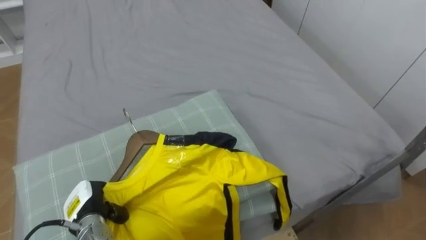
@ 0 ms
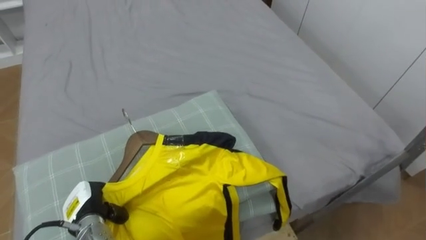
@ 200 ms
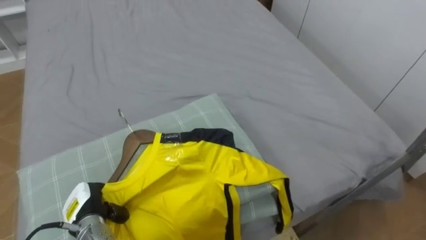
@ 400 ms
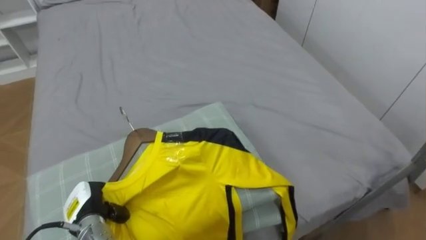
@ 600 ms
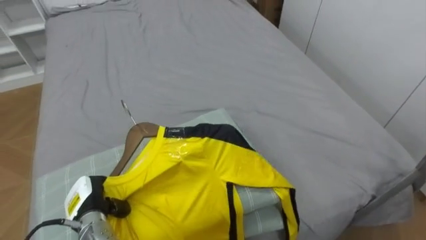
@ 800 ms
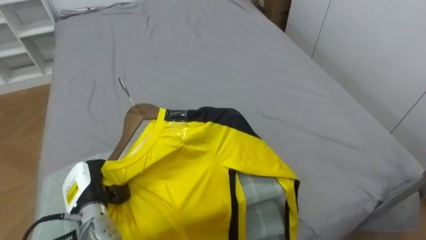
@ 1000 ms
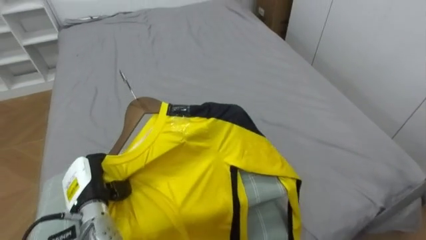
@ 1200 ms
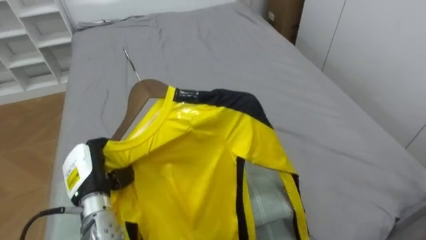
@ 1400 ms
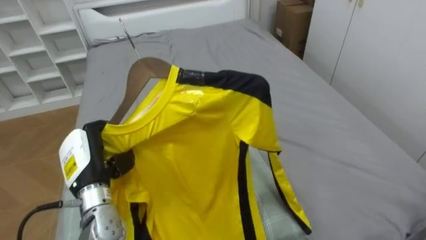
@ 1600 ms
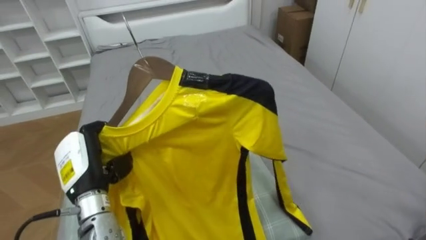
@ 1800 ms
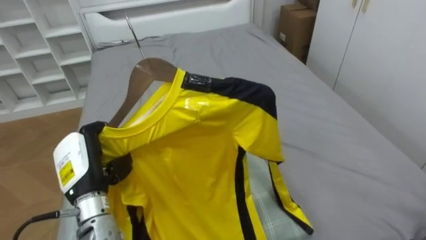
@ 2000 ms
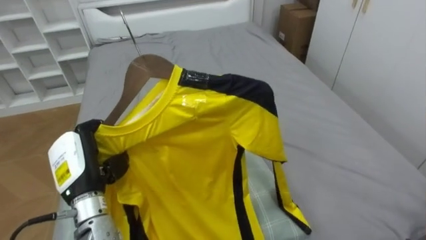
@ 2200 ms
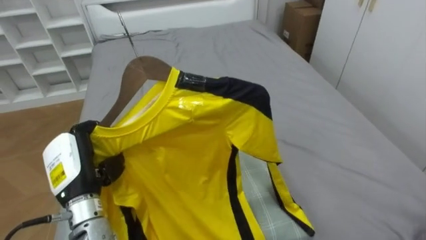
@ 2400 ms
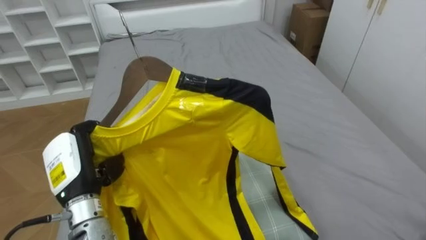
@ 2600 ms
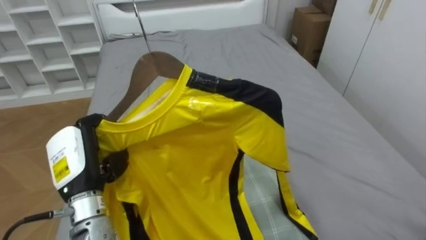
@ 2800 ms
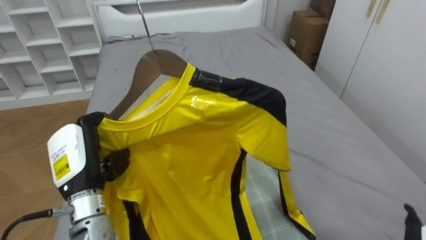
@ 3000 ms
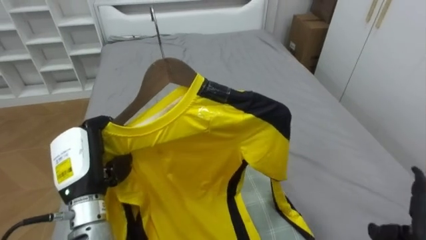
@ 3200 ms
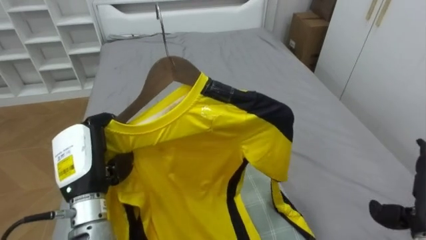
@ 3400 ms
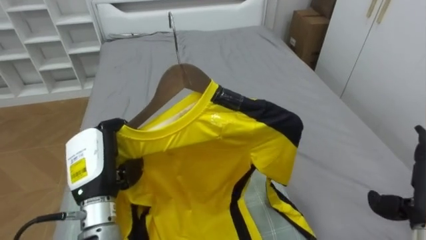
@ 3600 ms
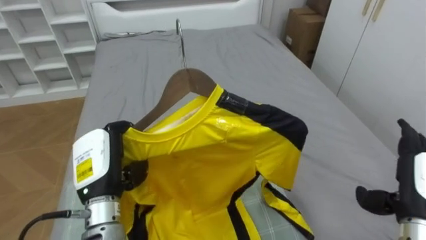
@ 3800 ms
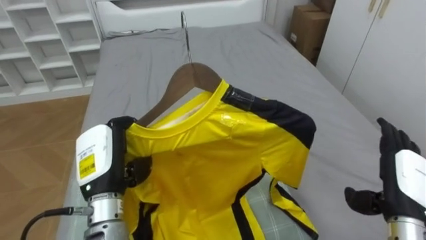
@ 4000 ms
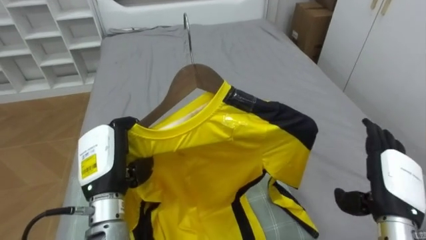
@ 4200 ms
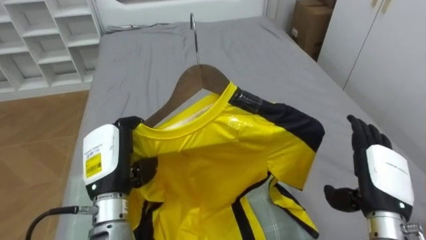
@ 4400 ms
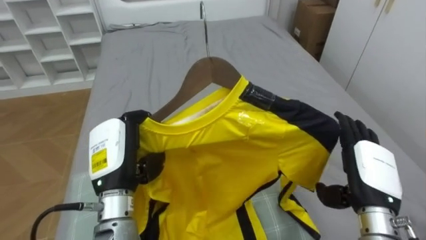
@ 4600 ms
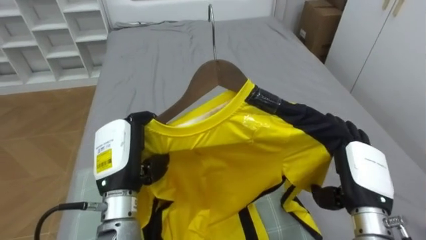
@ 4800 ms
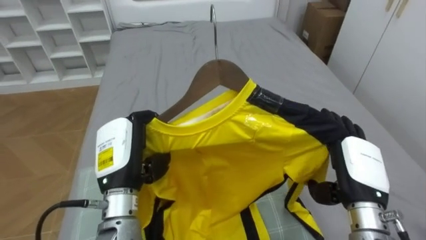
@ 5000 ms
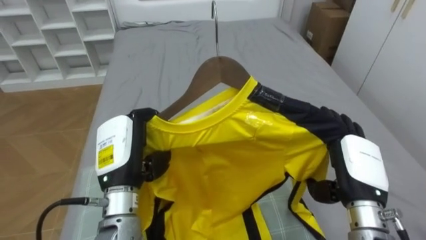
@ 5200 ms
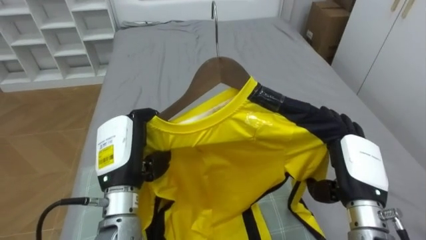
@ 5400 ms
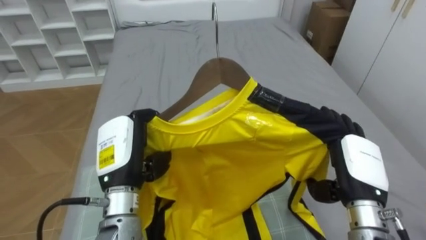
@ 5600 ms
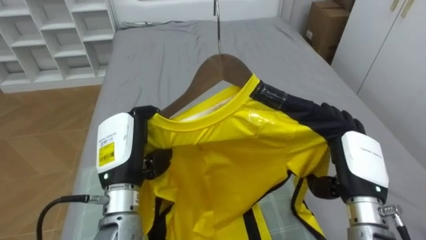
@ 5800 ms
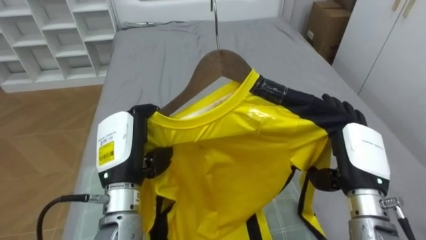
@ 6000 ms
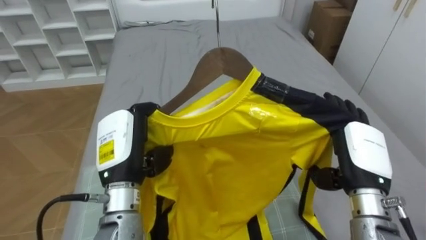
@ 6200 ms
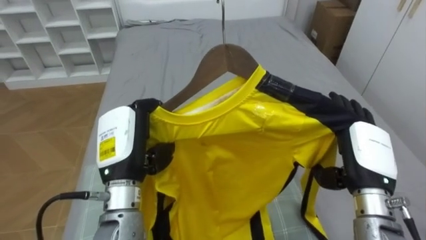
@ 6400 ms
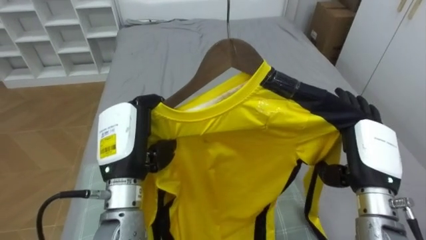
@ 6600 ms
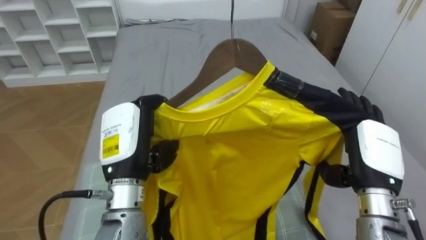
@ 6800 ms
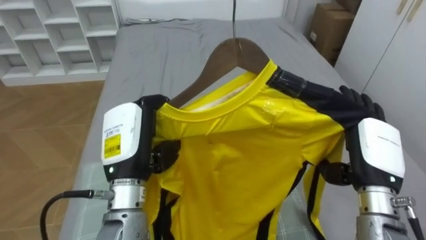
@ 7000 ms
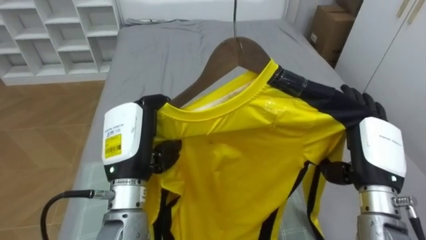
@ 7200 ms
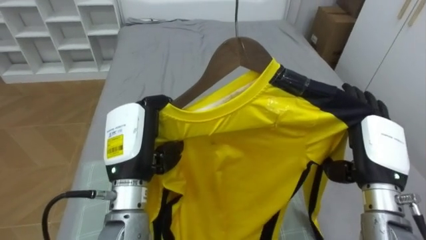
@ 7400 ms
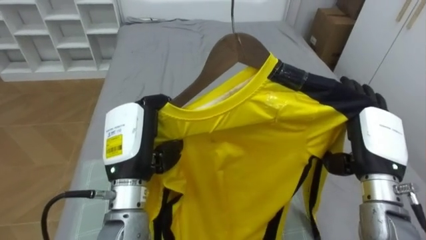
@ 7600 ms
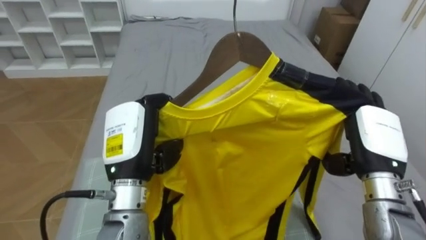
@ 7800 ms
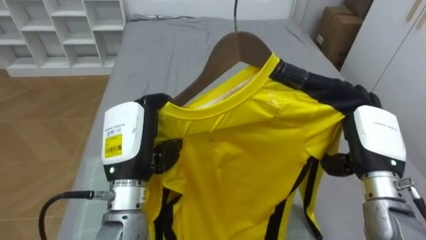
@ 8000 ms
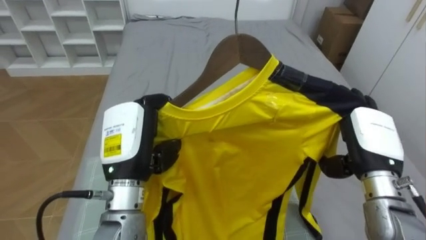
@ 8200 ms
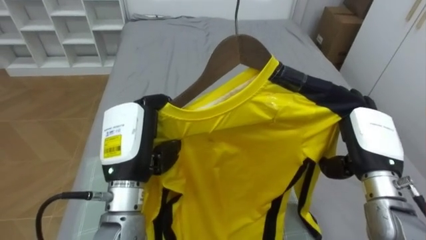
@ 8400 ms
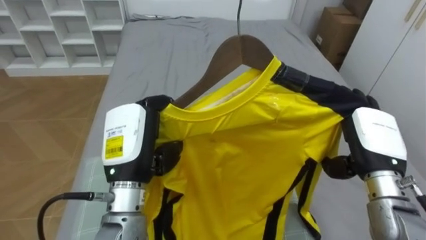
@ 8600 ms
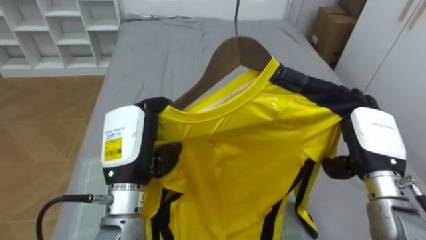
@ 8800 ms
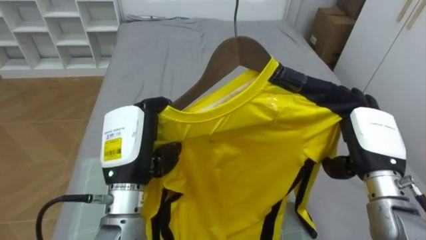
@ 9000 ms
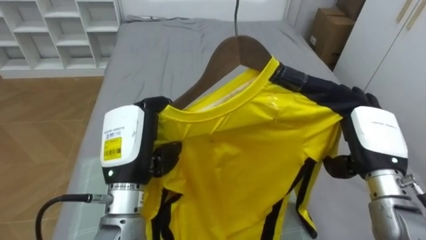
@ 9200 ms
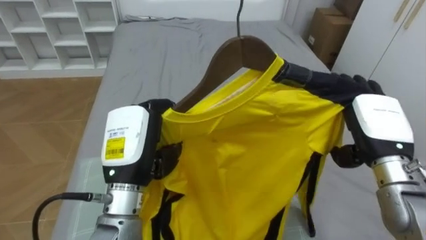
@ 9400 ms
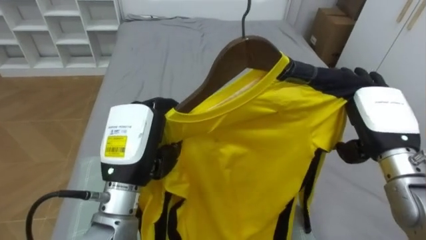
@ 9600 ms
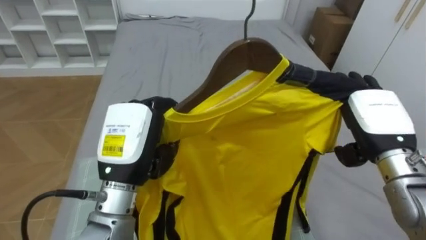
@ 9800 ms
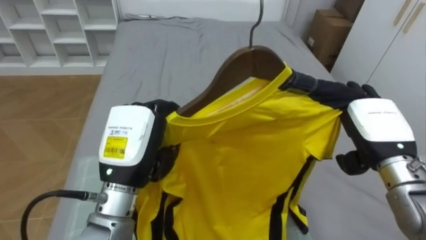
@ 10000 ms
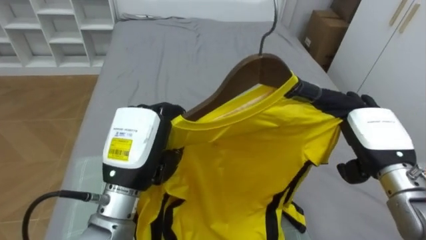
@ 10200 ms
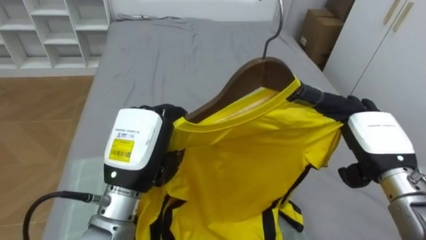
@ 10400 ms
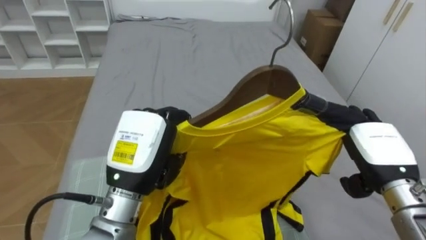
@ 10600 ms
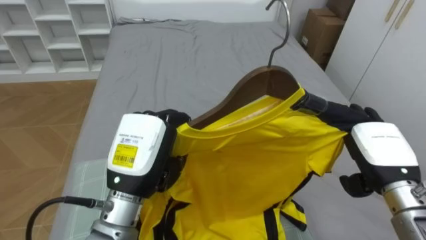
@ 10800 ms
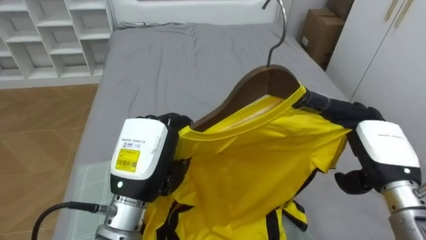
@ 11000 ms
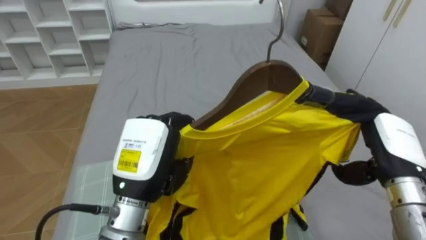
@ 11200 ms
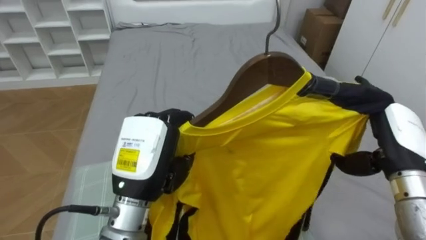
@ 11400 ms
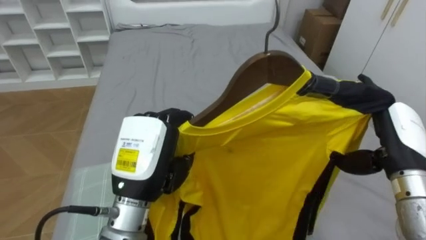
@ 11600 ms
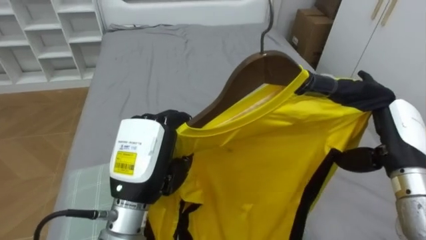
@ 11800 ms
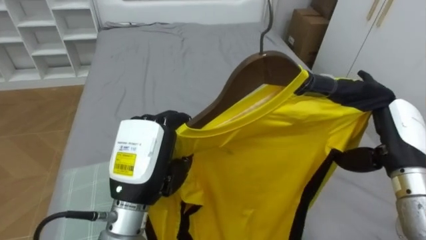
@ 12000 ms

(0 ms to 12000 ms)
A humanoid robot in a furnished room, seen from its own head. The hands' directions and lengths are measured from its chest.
Task of the whole recording: Pick up the yellow shirt on the bed and hang it on the clothes rack on the right.
0 ms - 1600 ms: The left hand is displaced upward by some 10 cm.
4400 ms - 6000 ms: The right hand changes place by roughly 5 cm.
7600 ms - 9000 ms: The hands make only small movements.

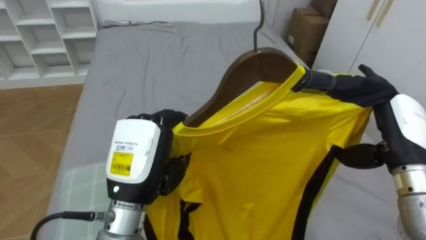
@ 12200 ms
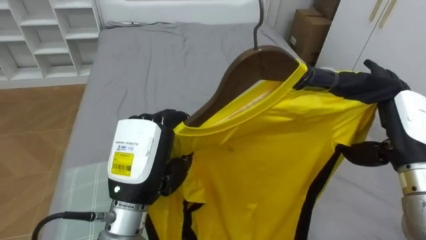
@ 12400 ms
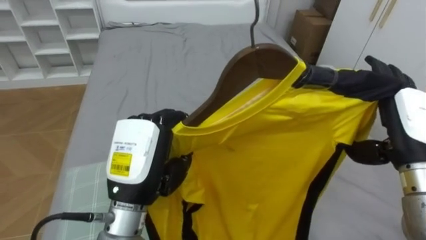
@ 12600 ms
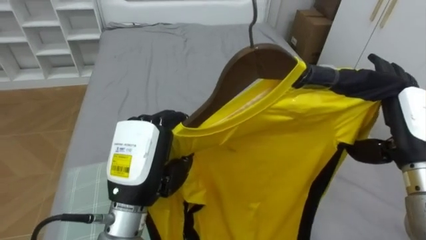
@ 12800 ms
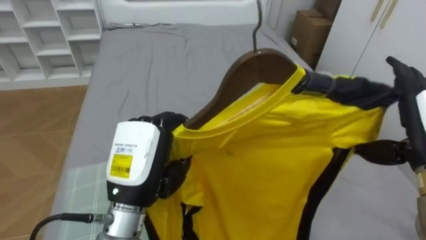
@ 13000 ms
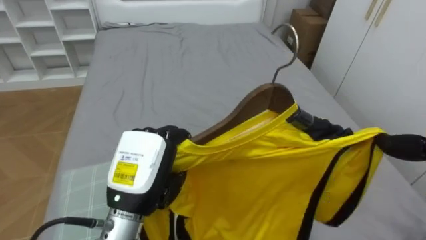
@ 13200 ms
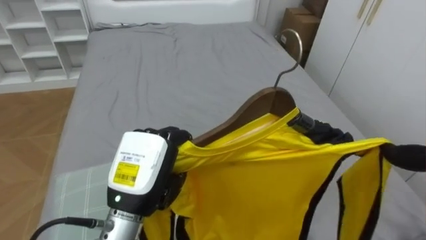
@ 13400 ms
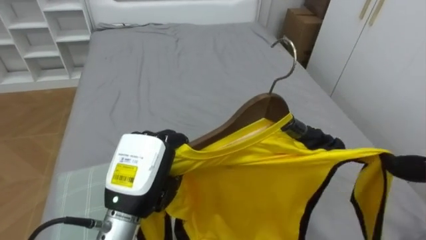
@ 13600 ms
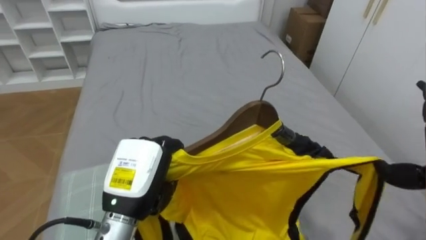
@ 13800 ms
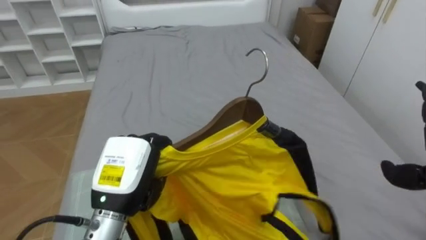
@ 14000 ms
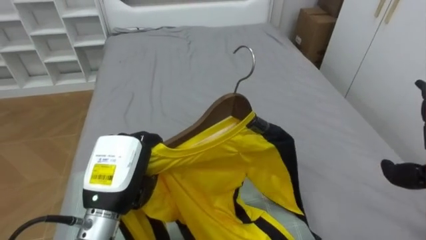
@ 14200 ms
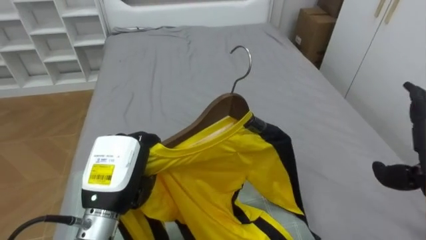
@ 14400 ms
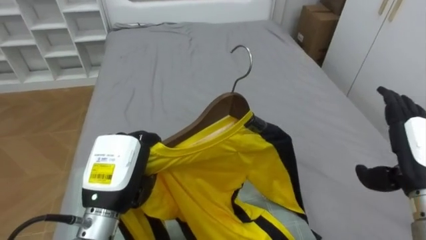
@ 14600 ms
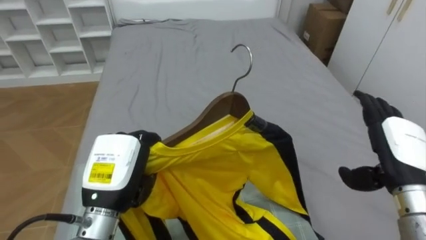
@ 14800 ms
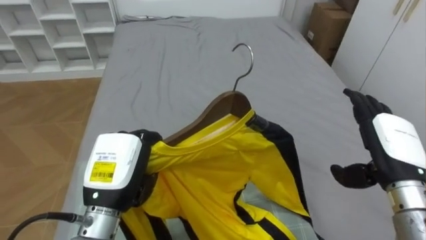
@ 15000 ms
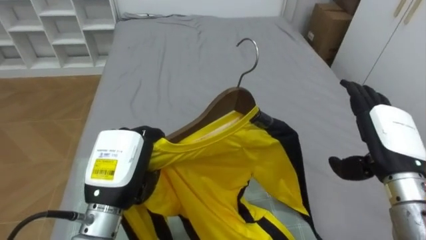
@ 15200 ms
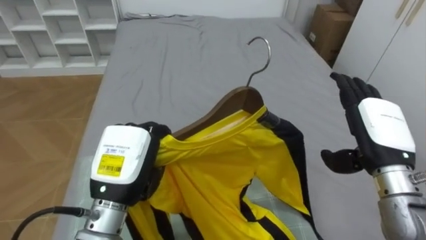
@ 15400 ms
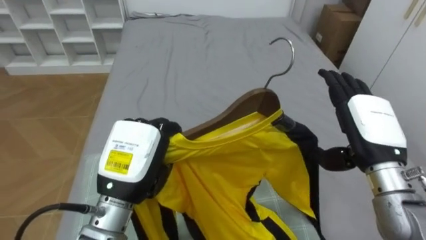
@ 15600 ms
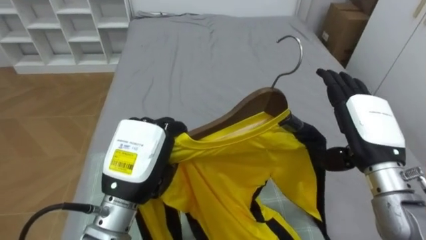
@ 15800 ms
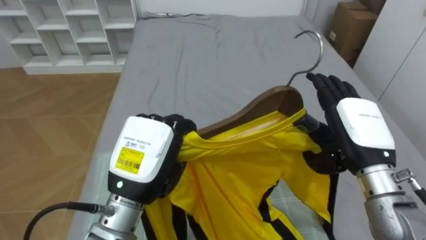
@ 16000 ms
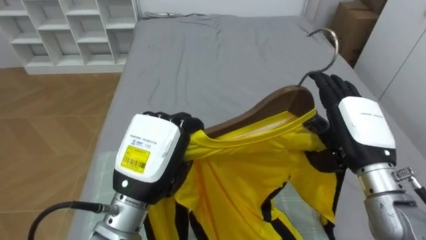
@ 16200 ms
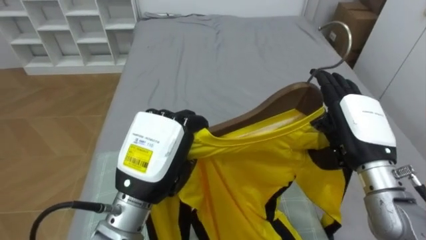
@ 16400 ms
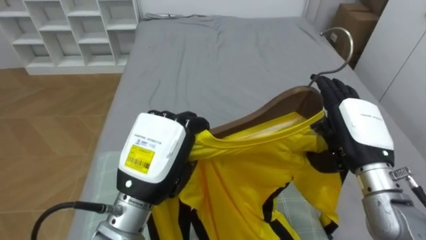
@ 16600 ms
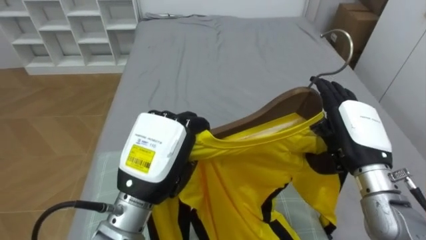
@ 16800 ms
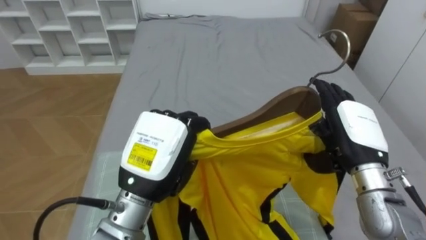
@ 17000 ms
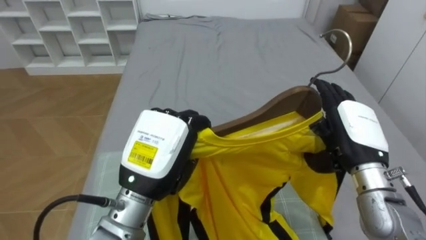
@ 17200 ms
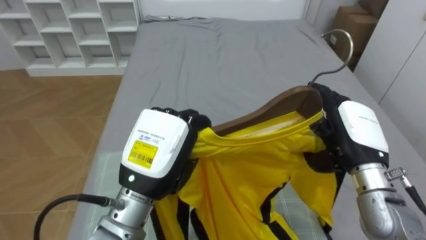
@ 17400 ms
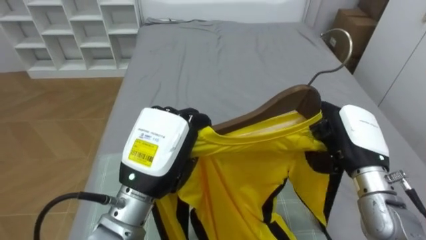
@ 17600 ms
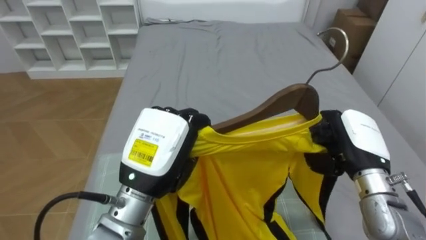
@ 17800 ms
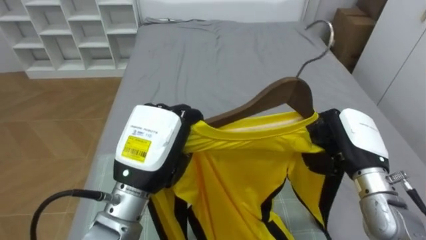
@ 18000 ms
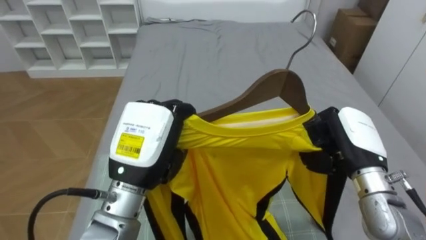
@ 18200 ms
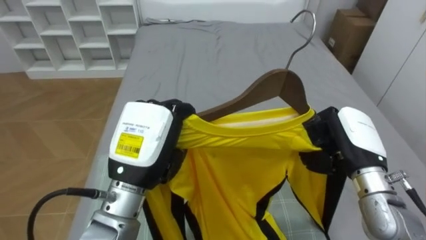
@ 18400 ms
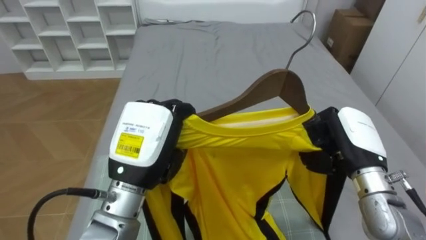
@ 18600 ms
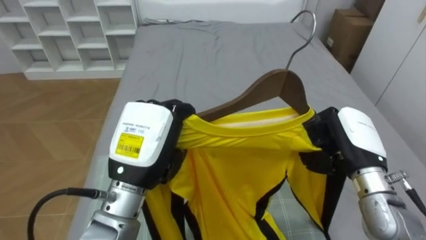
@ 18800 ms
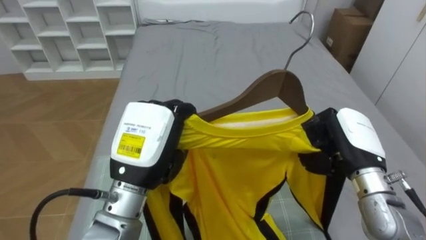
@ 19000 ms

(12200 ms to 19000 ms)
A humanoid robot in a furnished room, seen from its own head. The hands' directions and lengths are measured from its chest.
Task of the whole recording: Pick up the yellow shirt on the bed and hang it on the clothes rack on the right.
15000 ms - 16200 ms: The left hand moves to the right, approximately 5 cm. The right hand heads to the left, covering roughly 5 cm.
16200 ms - 17600 ms: The right hand closes its fingers.
17600 ms - 19000 ms: The right hand closes its fingers.
